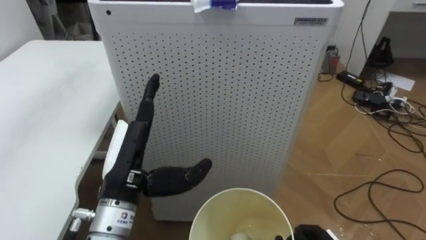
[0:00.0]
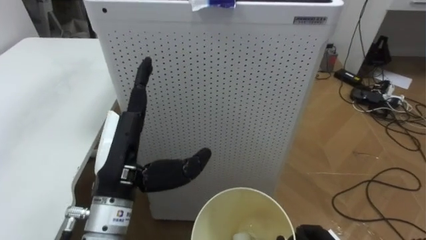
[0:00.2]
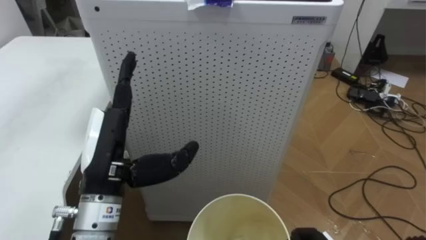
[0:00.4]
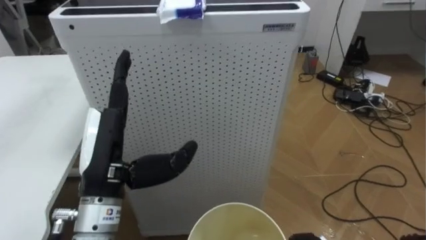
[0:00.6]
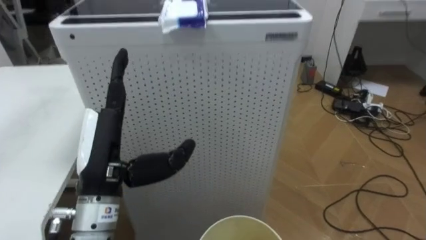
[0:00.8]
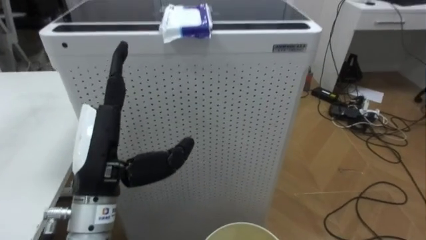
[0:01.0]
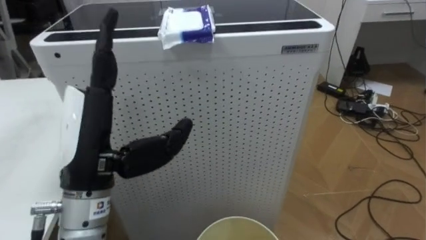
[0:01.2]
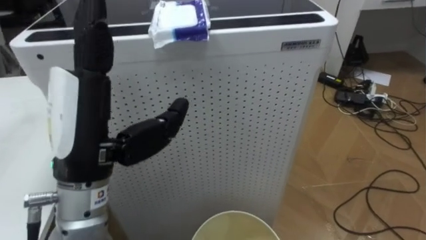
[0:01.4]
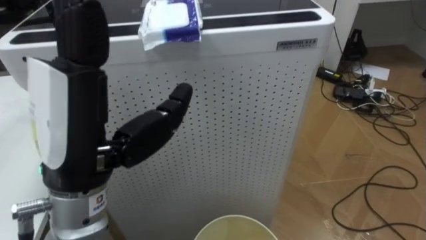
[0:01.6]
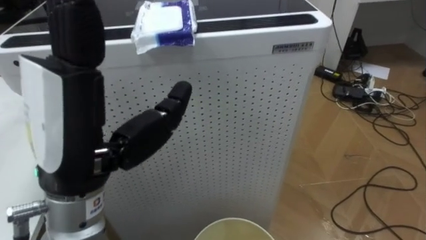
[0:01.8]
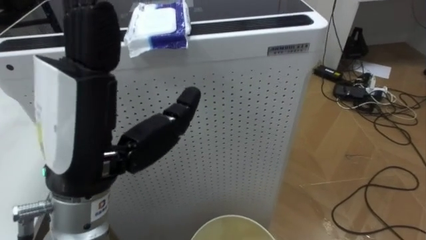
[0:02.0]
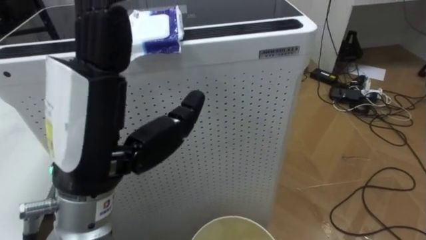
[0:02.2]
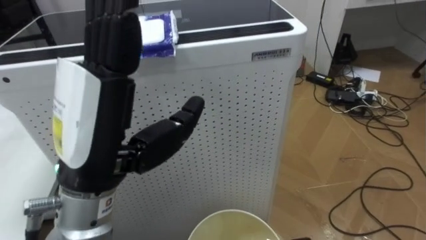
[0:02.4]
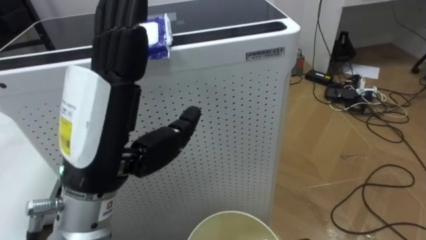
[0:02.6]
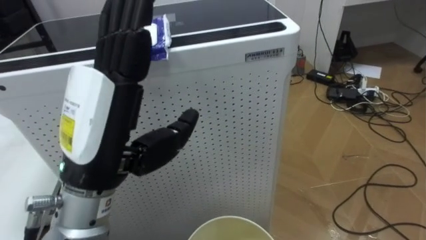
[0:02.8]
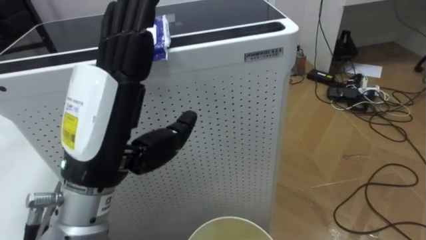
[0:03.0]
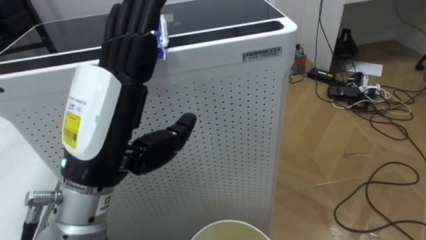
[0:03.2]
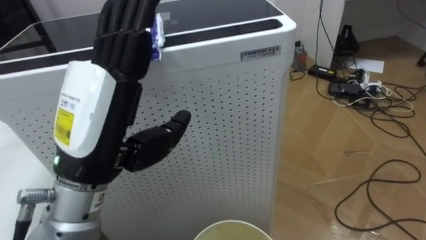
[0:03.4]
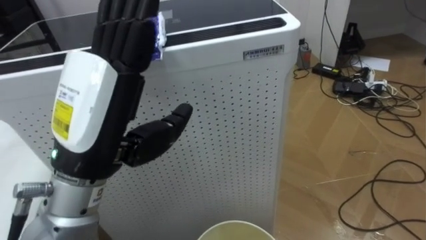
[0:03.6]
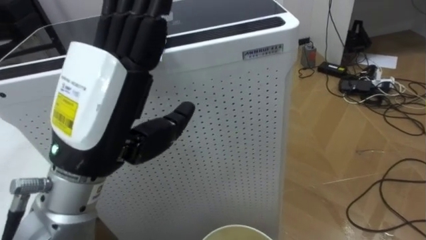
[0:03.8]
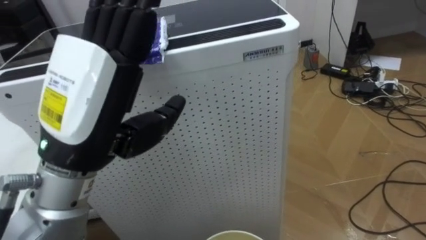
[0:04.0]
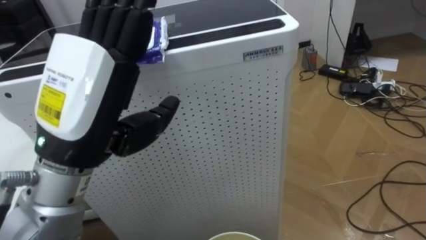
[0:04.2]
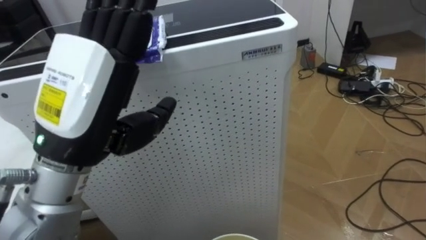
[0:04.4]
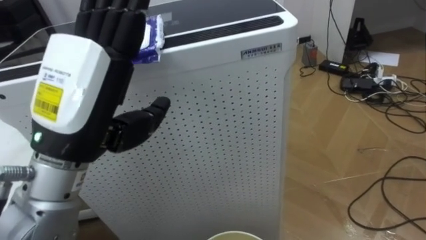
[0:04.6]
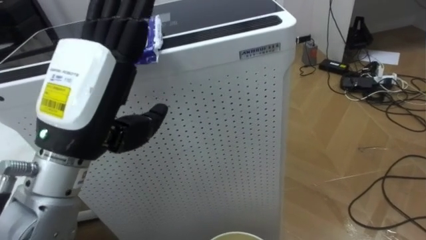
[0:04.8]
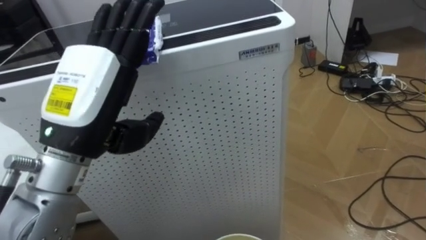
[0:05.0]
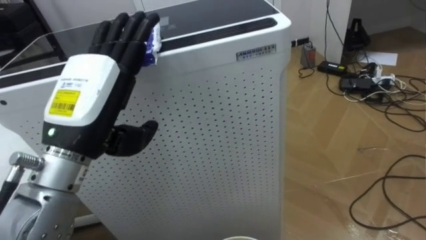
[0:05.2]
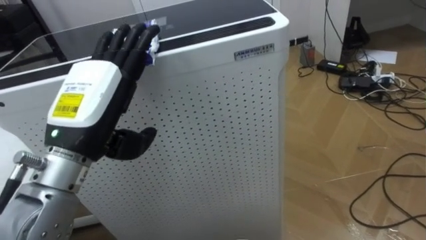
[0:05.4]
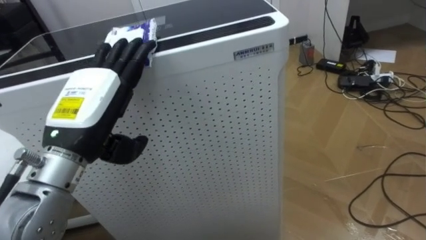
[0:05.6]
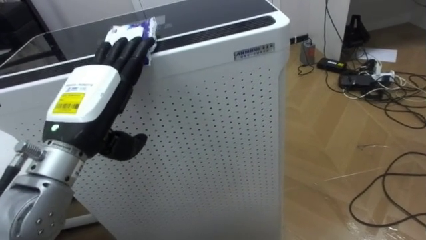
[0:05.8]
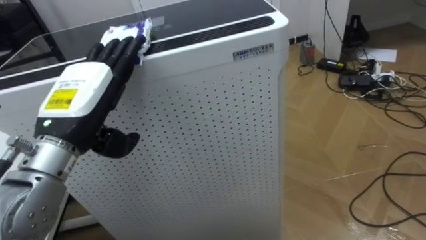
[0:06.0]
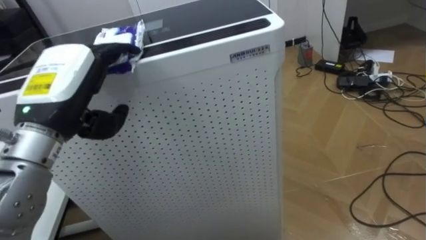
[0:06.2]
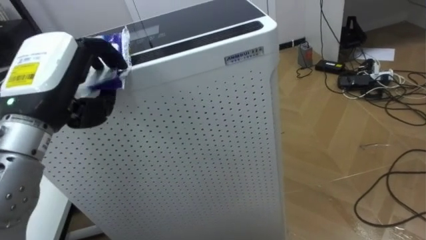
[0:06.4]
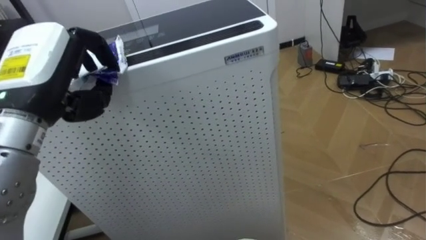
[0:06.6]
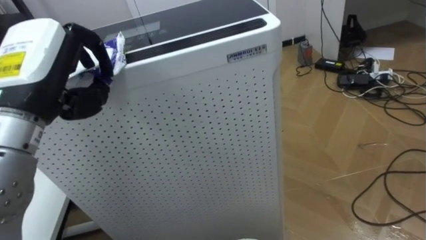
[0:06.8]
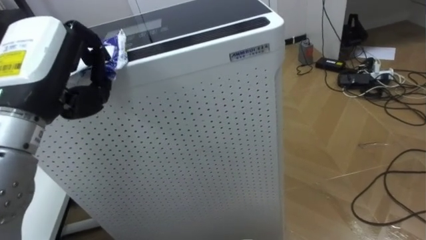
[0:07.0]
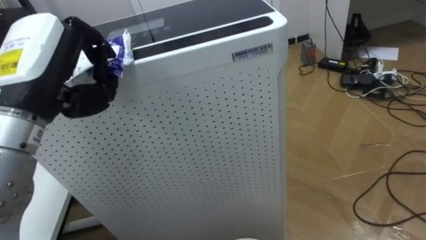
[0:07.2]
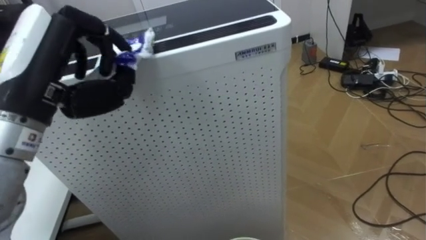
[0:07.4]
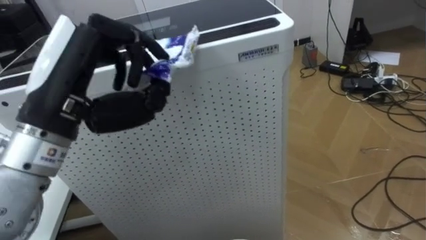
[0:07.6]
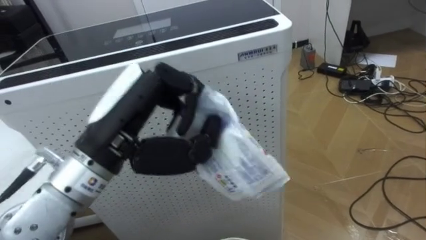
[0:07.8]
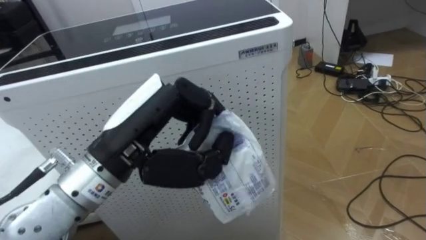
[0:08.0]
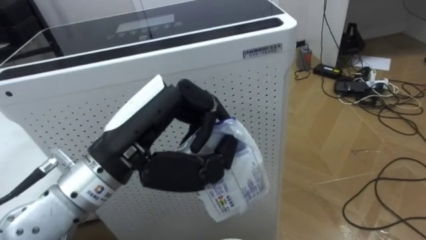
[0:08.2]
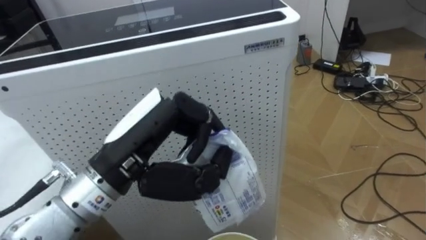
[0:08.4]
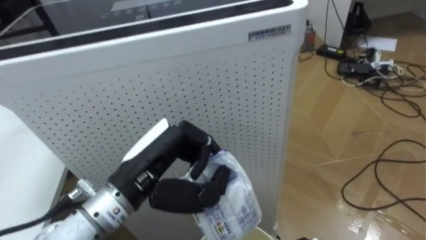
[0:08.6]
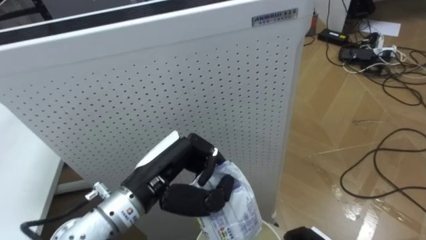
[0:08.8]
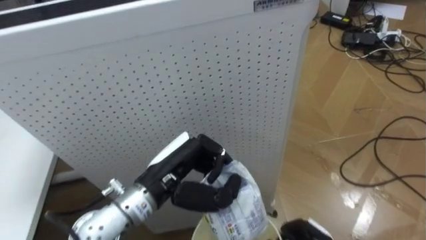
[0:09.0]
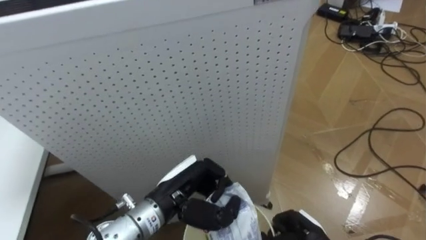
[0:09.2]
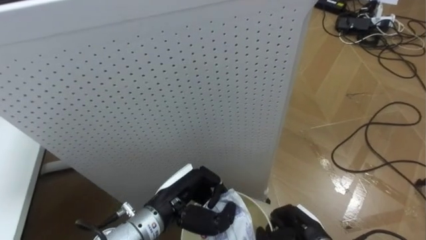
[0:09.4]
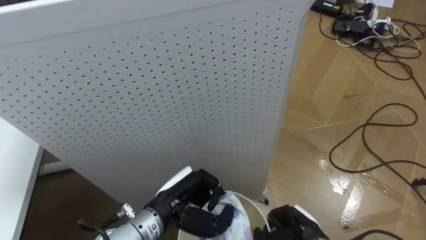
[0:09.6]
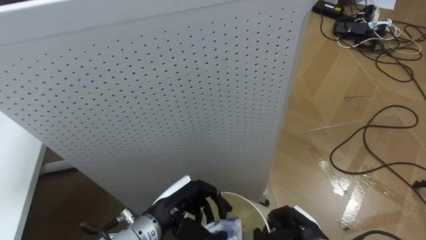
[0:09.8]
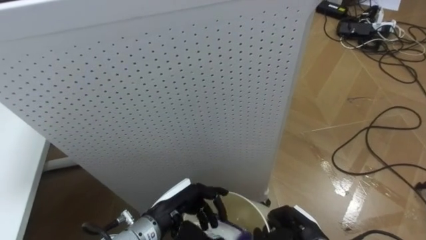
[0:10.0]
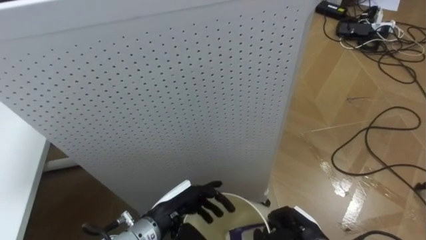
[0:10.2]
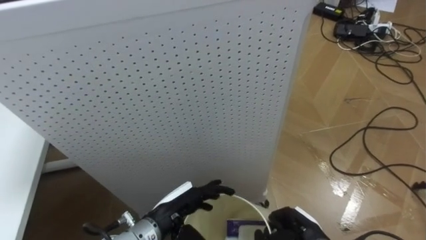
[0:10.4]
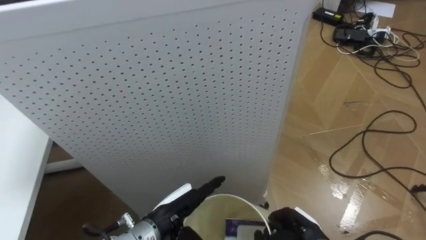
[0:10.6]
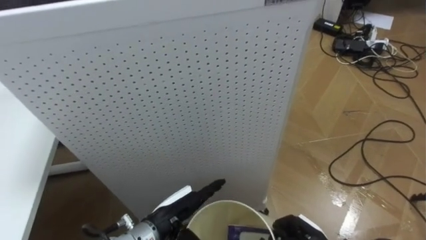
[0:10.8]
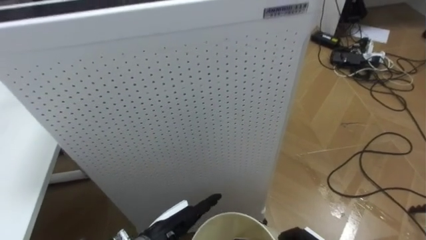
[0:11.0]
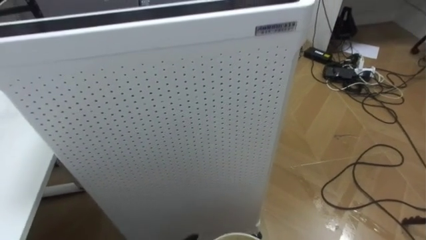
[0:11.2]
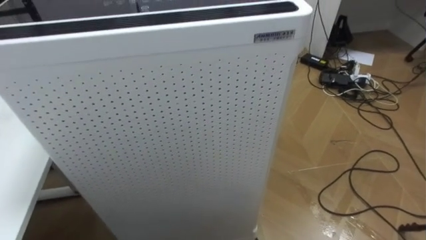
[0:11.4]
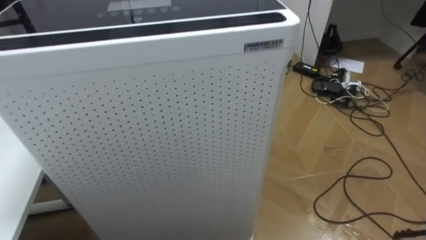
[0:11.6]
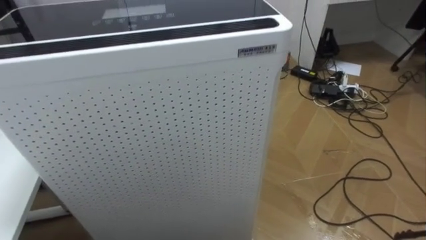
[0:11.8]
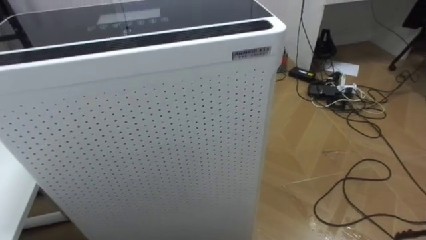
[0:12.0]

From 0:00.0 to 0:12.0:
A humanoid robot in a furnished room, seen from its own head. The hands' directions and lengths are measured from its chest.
Task of the whole recording: Pick up the light blue package, the candy box, and the dark blue package separately, and put them into the trash can held in your right hand.
From 0:00.0 to 0:01.6: The left hand moves upward and backward, roughly 15 cm.
From 0:04.4 to 0:06.0: The left hand is displaced forward and downward by approximately 10 cm.
From 0:06.0 to 0:07.6: The left hand moves upward, approximately 5 cm, and closes its fingers.
From 0:07.6 to 0:09.0: The left hand travels downward and to the right by roughly 20 cm.
From 0:09.0 to 0:10.4: The left hand is displaced downward by some 10 cm, and opens up.

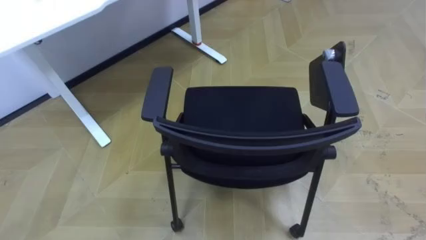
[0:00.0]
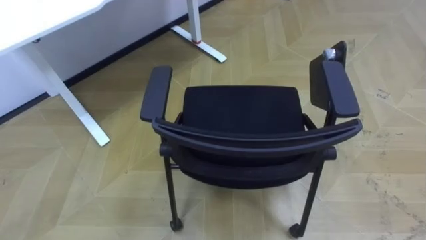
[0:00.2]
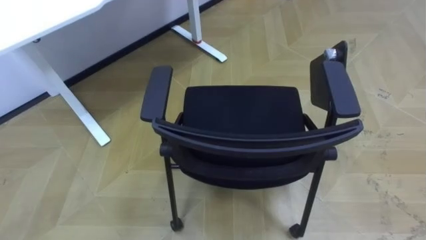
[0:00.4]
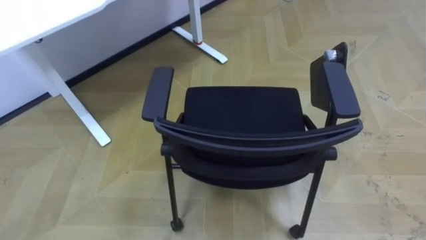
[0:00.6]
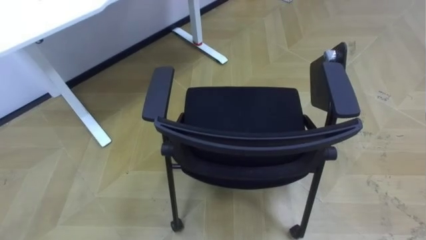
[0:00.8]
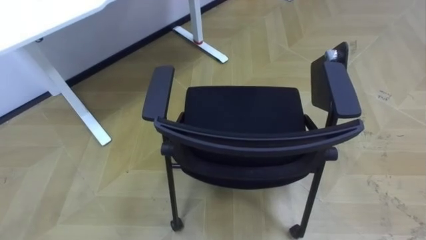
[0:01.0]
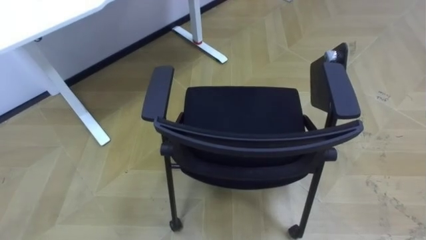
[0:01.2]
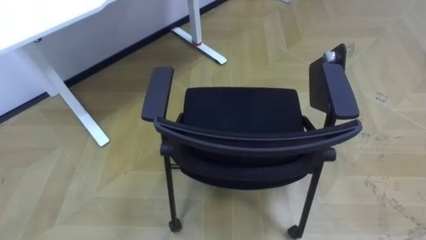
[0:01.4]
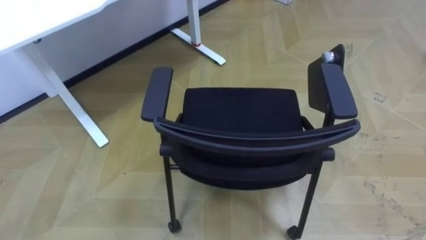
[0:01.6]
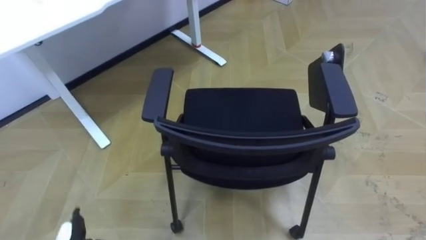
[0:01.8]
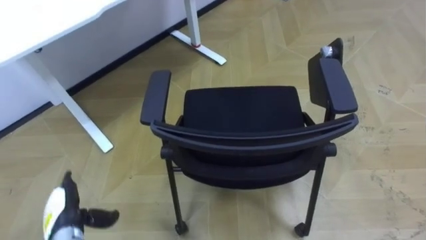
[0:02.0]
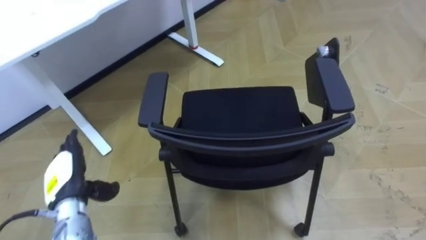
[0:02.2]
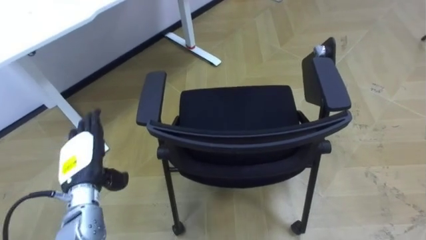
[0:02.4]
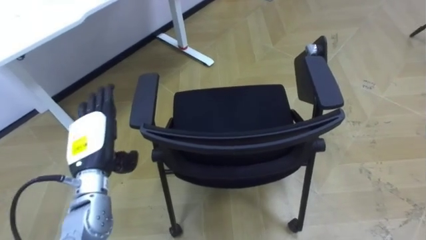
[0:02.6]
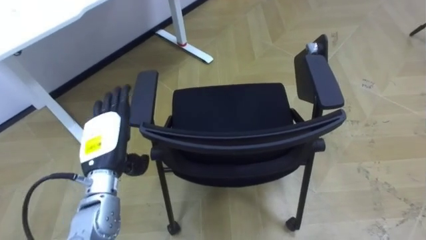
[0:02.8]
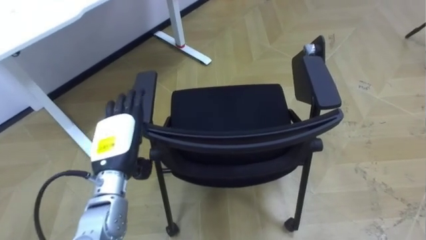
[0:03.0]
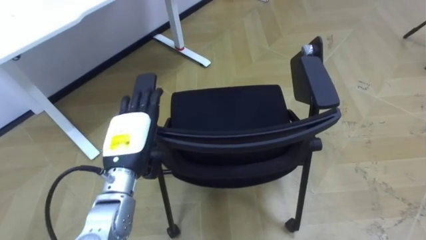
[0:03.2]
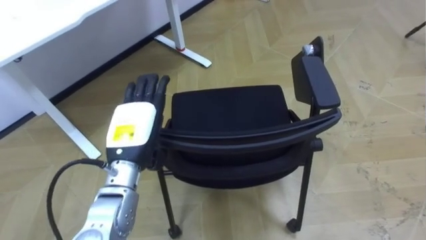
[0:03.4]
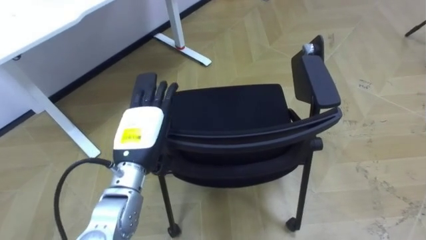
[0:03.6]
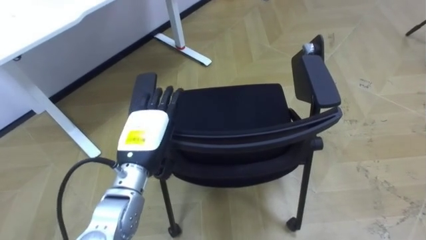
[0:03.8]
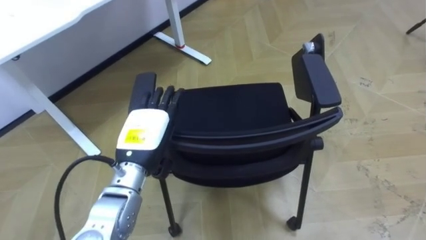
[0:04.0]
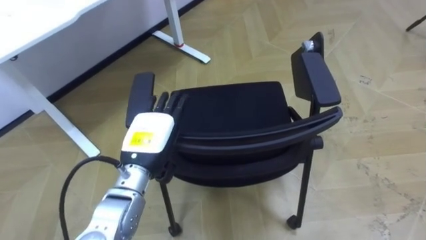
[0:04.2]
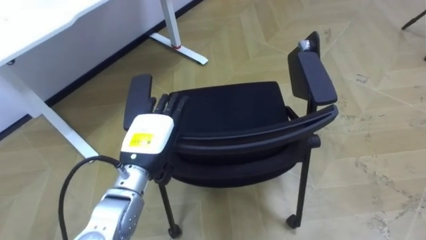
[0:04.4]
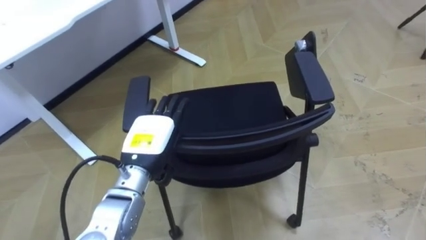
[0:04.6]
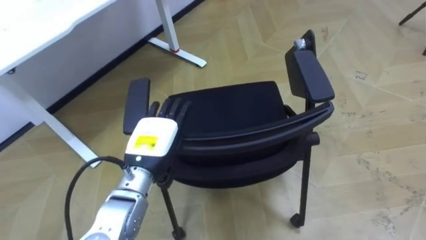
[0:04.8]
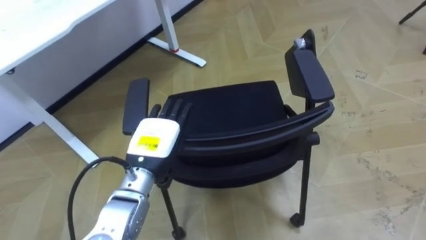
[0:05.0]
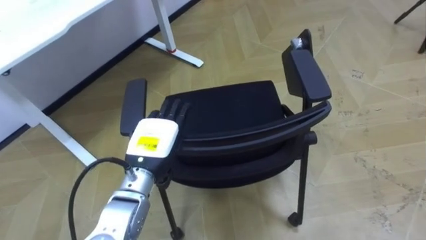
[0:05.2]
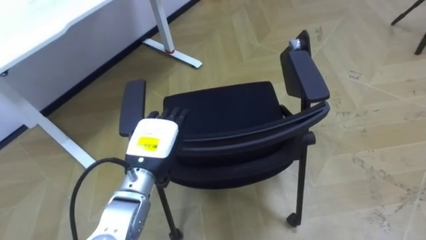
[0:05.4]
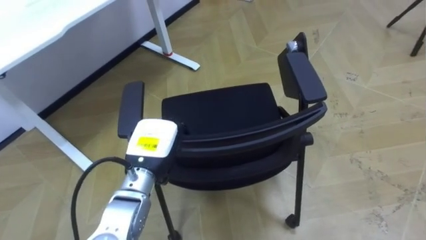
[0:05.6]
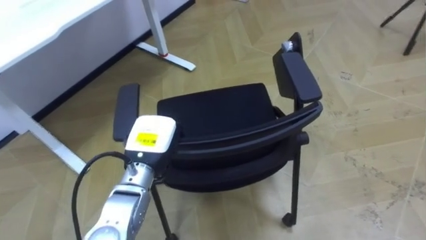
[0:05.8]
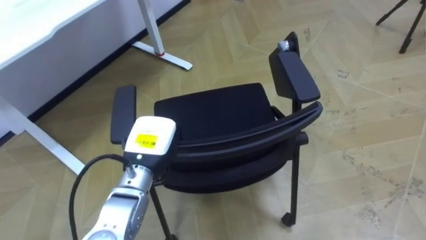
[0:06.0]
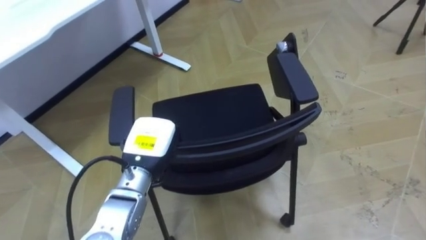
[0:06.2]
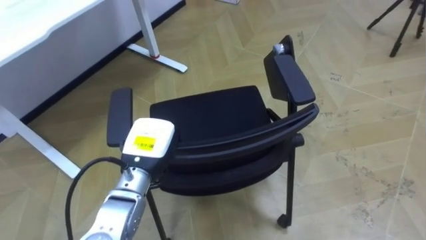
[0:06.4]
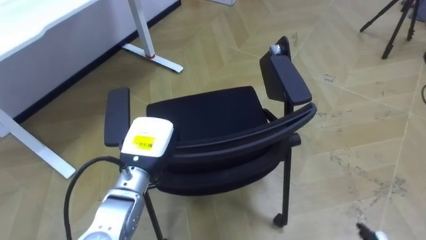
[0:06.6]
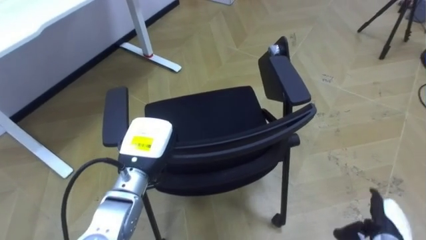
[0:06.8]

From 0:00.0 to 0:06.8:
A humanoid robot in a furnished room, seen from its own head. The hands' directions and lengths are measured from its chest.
Task of the whole recording: Push the chair under the table.
From 0:02.8 to 0:04.0: The left hand shifts roughly 5 cm to the right.
From 0:05.4 to 0:06.8: The left hand closes up.
